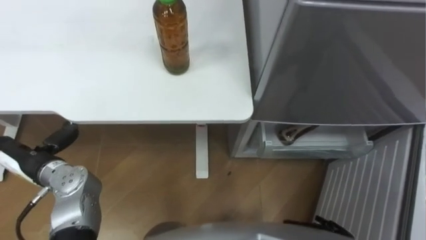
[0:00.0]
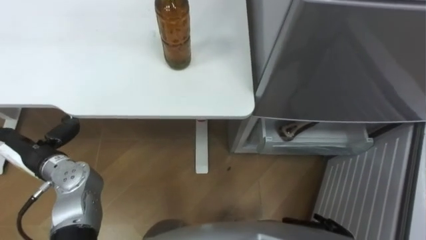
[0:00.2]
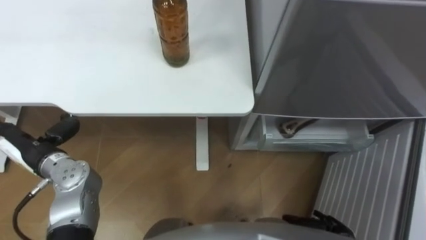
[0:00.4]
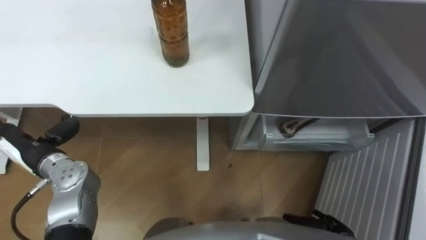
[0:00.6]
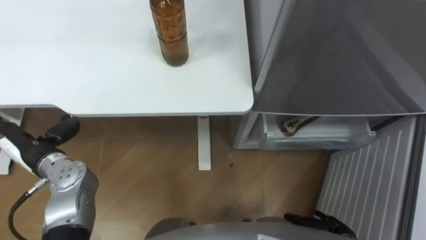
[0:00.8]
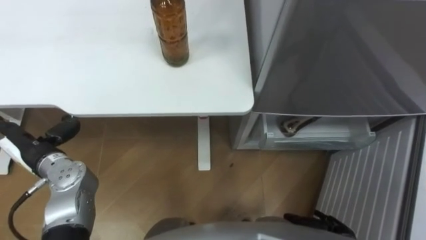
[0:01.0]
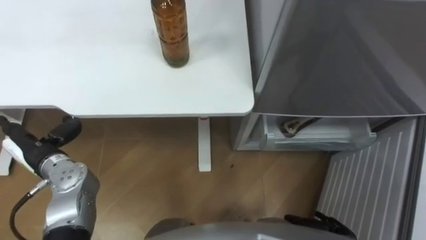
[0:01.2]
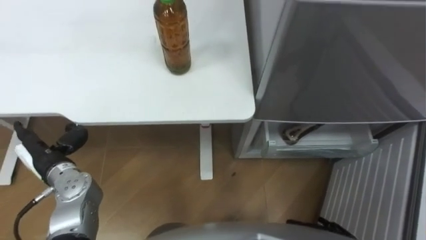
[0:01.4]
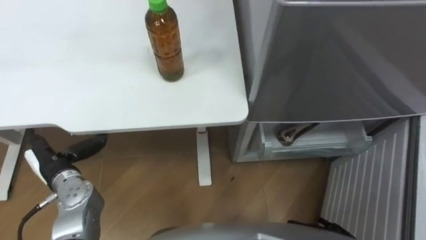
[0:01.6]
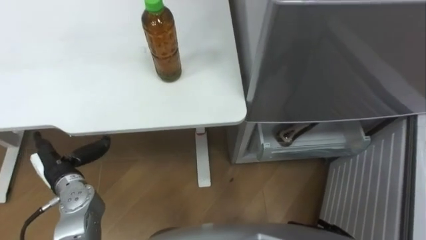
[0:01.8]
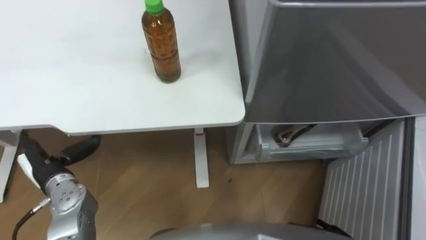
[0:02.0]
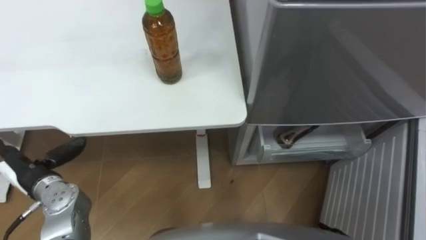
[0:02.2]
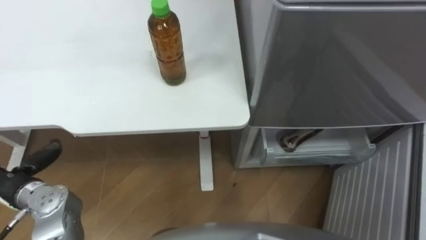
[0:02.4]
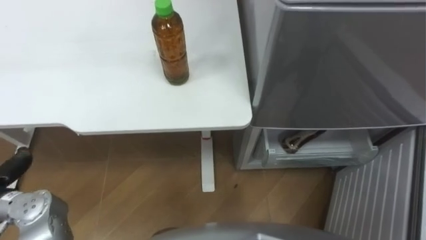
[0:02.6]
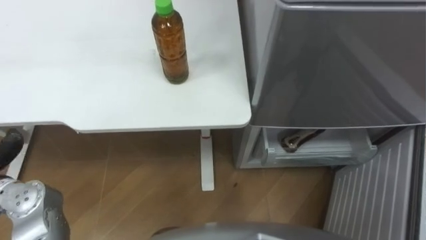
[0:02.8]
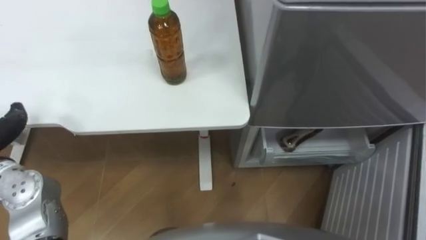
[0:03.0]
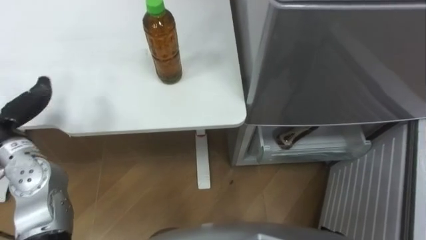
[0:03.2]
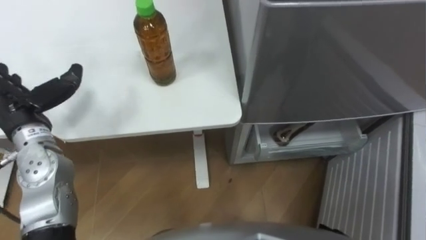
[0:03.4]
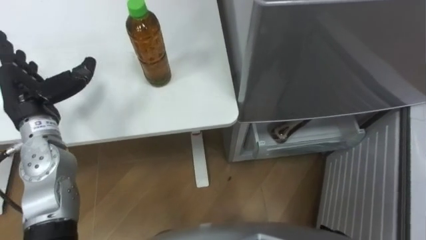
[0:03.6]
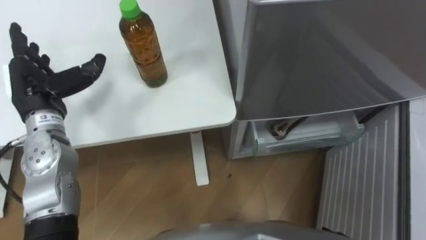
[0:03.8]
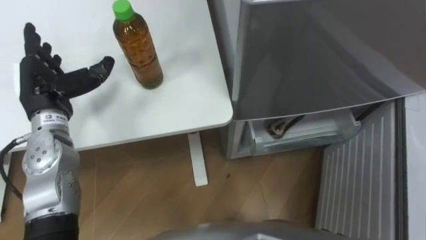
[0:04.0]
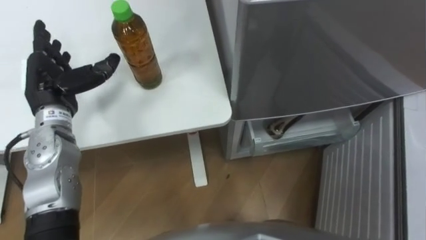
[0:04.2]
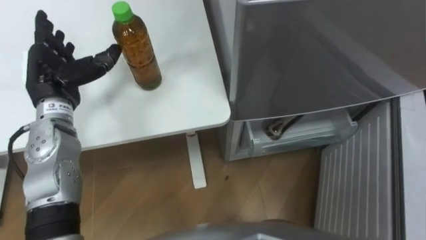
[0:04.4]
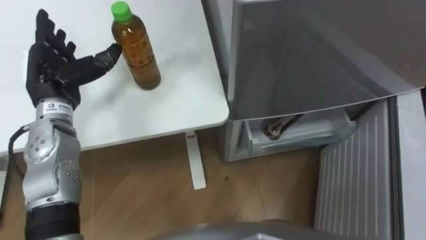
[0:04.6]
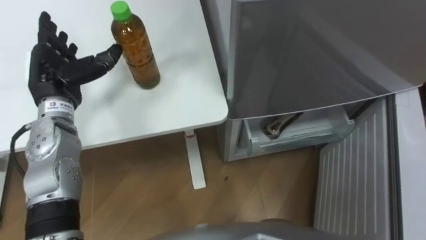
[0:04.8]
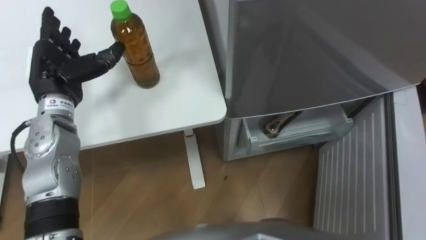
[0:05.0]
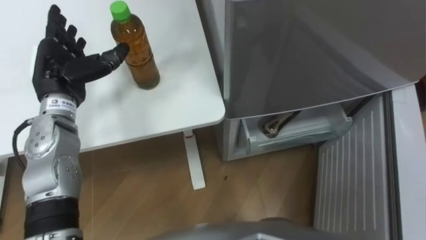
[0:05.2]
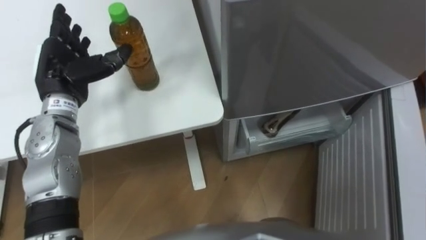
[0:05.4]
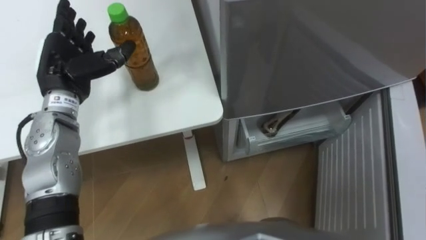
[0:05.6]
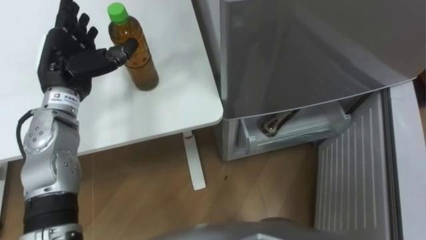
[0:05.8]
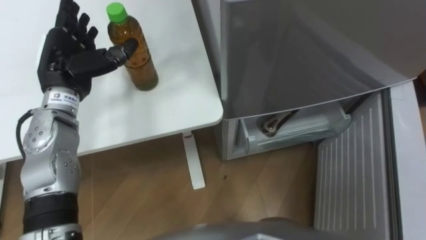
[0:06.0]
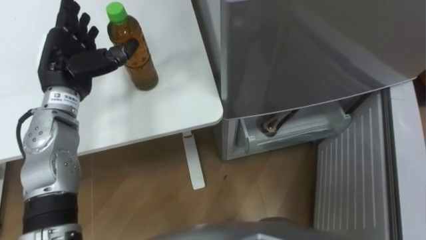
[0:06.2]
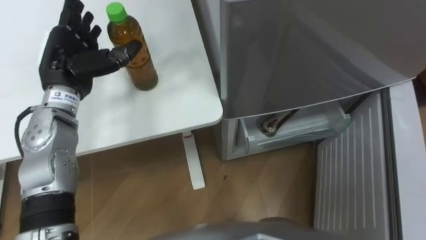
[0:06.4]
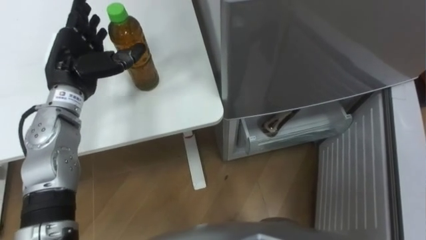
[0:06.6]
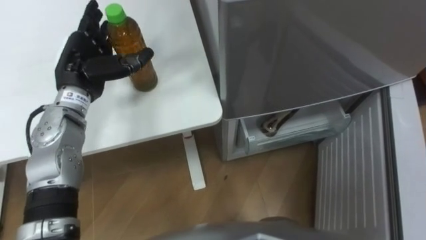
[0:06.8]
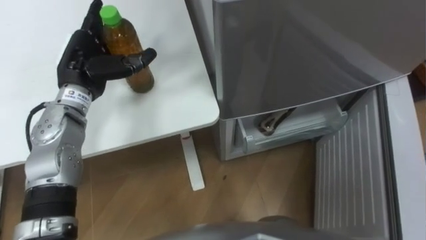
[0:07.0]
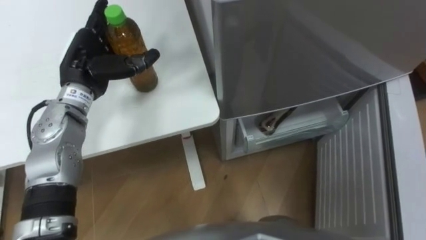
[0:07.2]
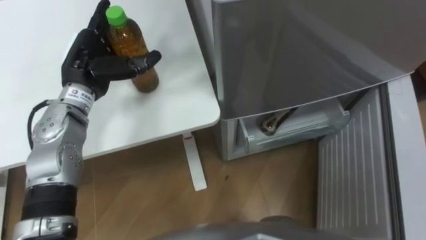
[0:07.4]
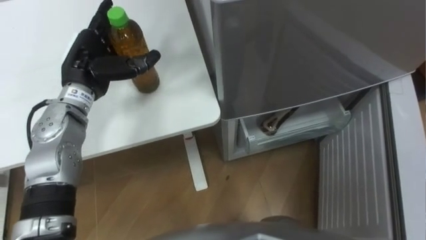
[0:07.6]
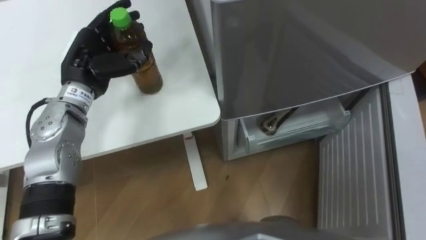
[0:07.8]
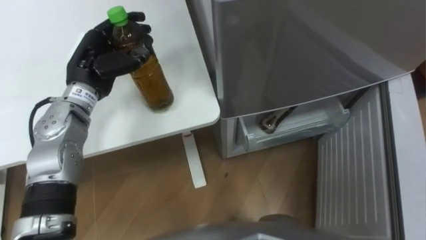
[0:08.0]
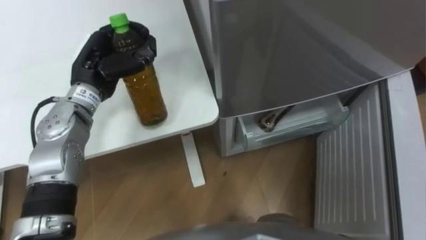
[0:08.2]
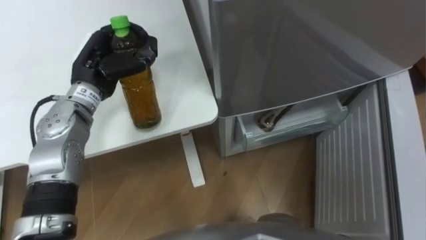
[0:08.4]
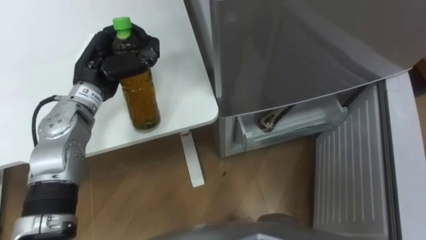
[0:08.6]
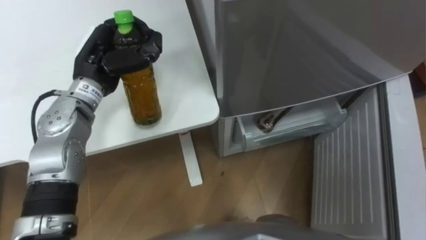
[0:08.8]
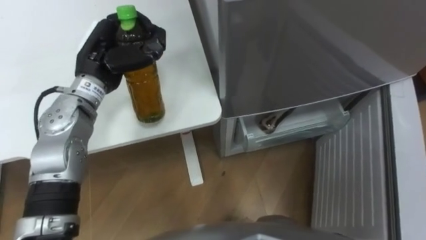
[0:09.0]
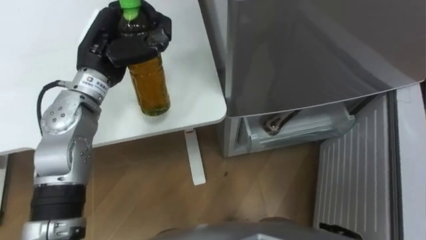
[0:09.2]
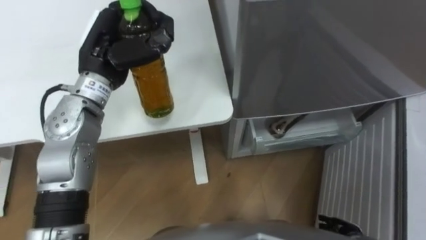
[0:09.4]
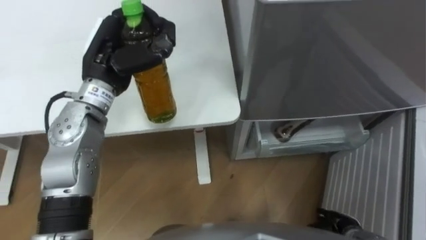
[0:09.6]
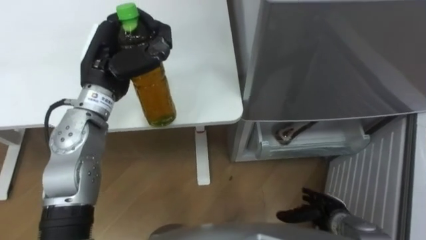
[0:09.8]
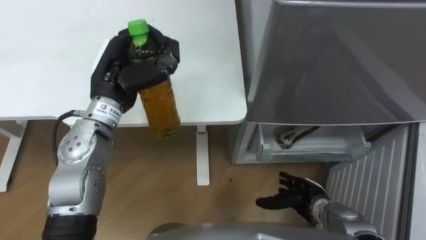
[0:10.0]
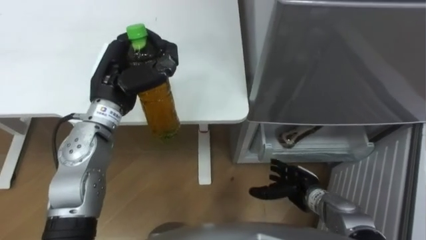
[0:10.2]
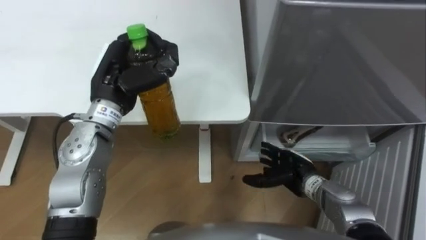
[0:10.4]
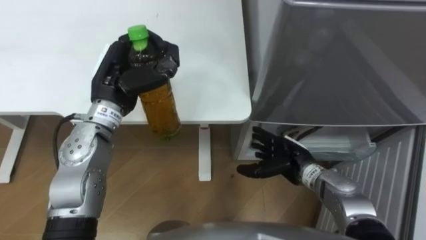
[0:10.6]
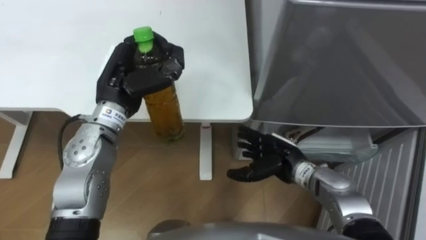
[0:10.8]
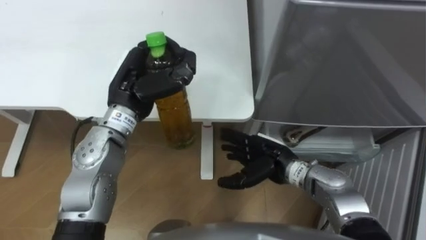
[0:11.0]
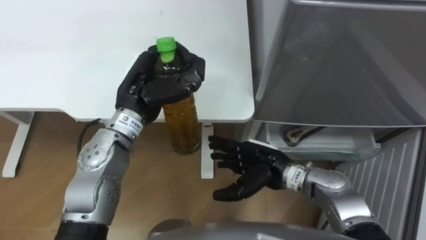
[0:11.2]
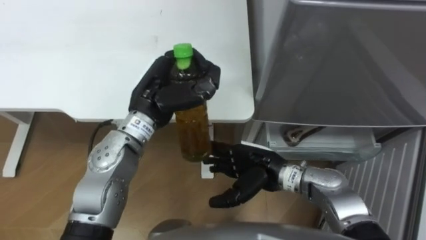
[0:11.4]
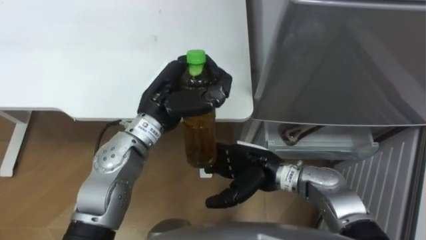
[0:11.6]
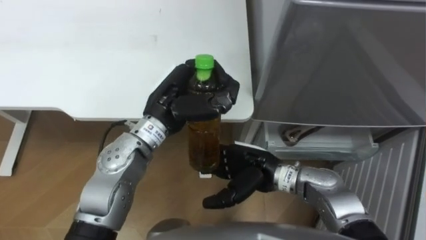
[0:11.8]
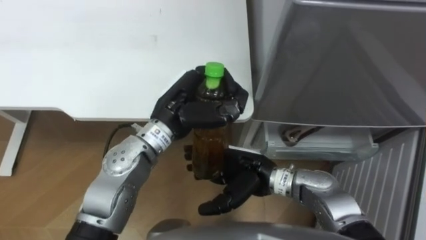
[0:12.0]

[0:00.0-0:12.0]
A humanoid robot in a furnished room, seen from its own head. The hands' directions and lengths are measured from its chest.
Task of the whole recording: Place the drink on the table on the bottom shelf of the refrigerator, then close the drawer and the refrigerator door.
0:07.6 to 0:09.0: The left hand closes.
0:10.4 to 0:12.0: The left hand shifts approximately 10 cm to the right. Meanwhile the right hand heads to the left and upward, covering approximately 15 cm.

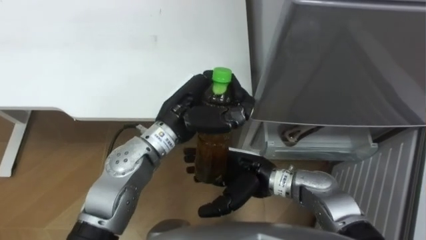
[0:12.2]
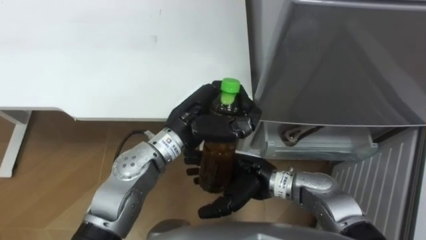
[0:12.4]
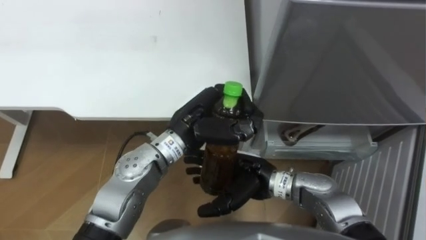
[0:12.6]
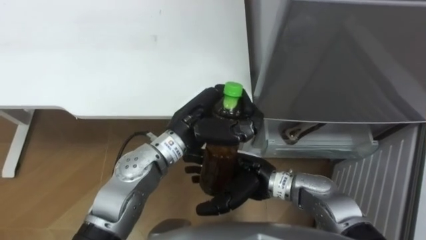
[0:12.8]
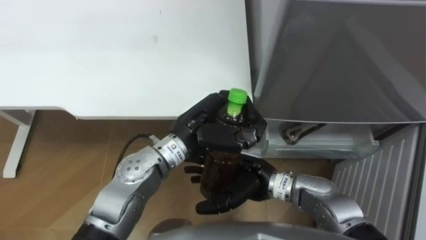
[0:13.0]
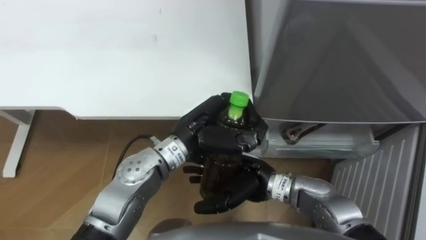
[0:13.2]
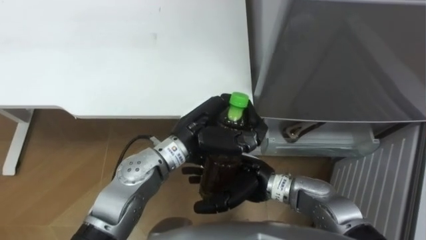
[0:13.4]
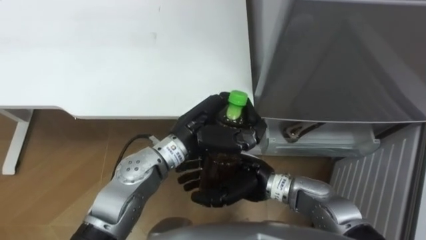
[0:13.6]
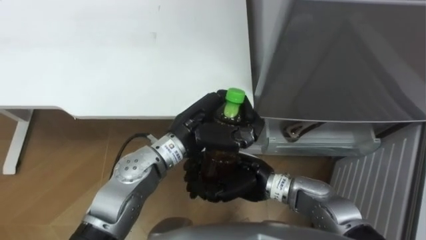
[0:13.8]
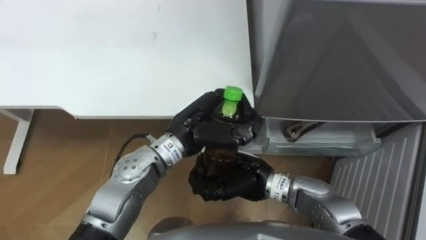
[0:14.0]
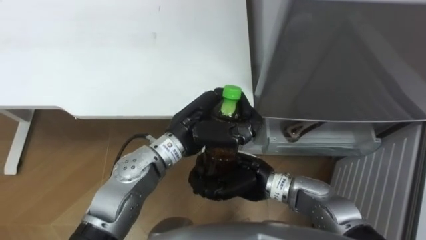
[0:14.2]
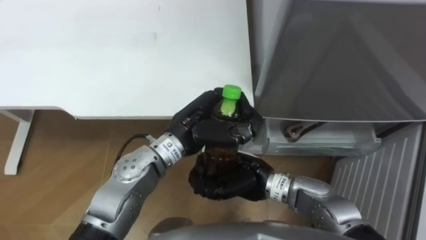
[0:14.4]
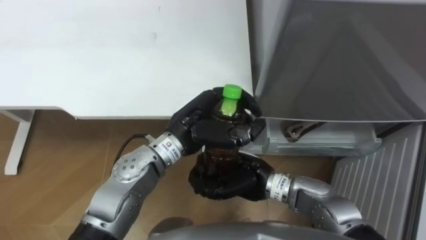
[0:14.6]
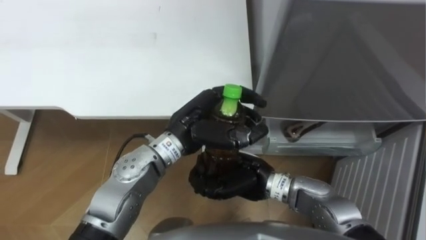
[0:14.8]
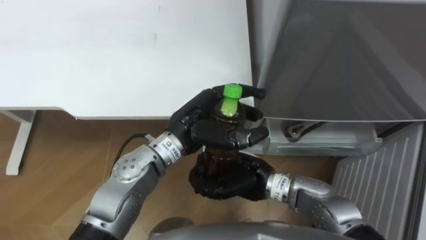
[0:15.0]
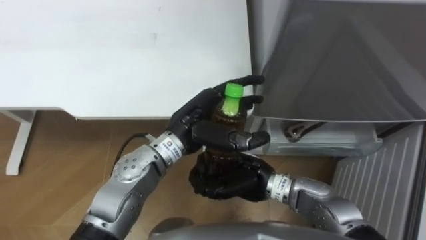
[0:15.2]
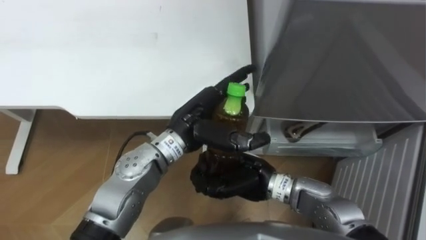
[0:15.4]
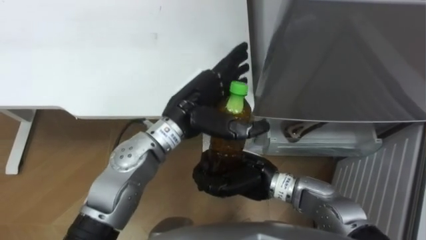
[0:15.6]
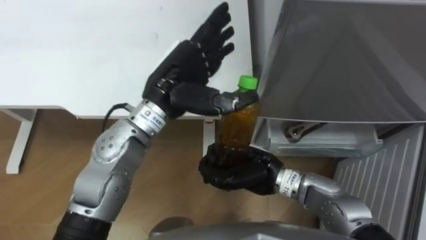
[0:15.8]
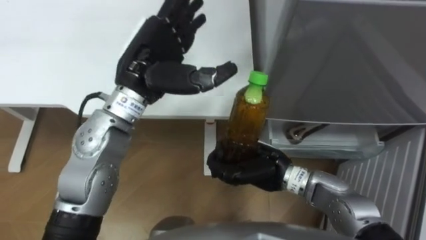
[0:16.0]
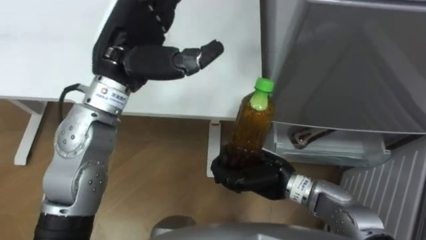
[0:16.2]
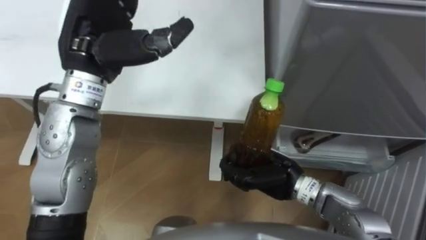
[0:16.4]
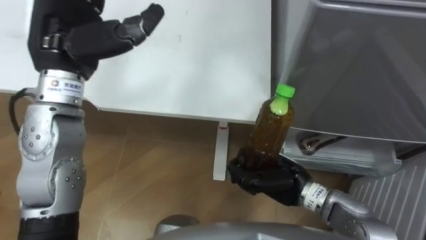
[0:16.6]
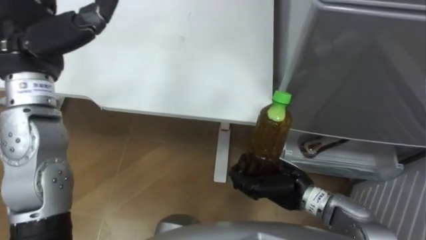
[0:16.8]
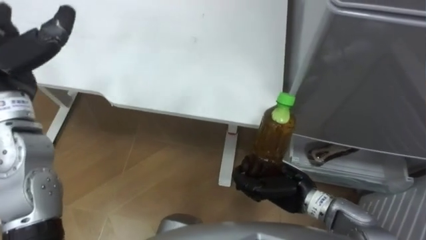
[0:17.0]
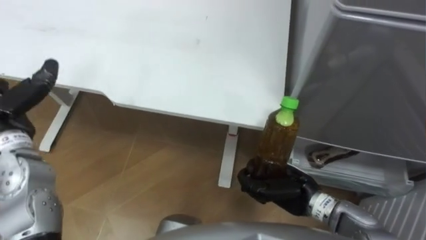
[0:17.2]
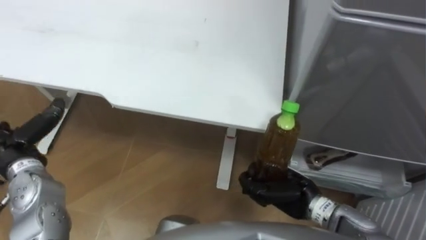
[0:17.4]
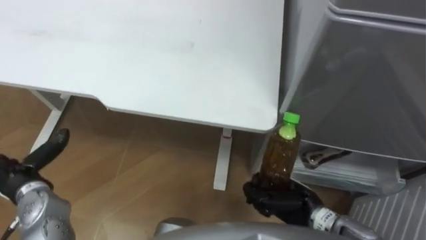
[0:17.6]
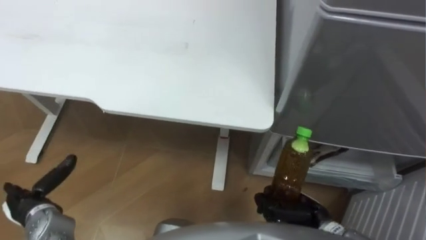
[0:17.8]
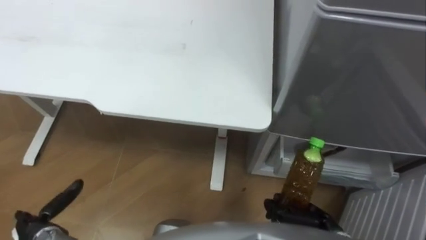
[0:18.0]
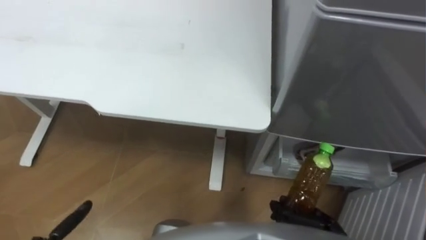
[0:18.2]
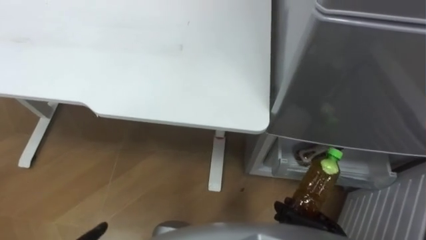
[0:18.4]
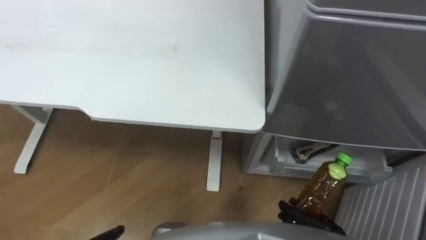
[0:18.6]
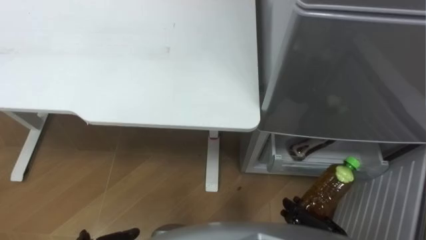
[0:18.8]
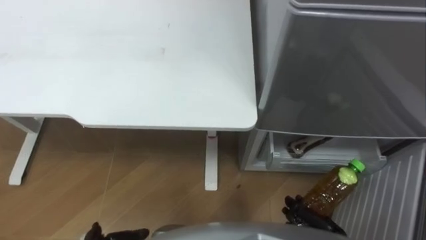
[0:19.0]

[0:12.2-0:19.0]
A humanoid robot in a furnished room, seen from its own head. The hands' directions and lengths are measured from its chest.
Task of the whole recording: Place the drink on the table on the bottom shelf of the refrigerator, then close the drawer and the refrigerator door.
0:12.2 to 0:13.6: The hands move only a little.
0:13.6 to 0:15.0: The left hand opens up. Meanwhile the right hand closes up.
0:15.0 to 0:16.2: The left hand goes about 15 cm upward and to the left, and opens up.
0:16.2 to 0:17.6: The right hand travels to the right and downward by about 10 cm.
0:17.6 to 0:19.0: The right hand shifts roughly 10 cm backward, to the right and downward.
